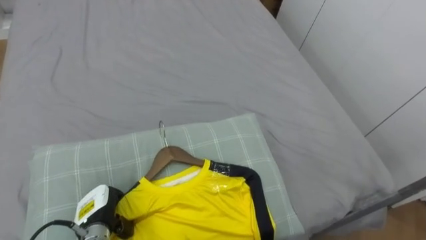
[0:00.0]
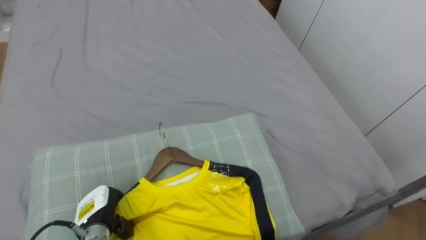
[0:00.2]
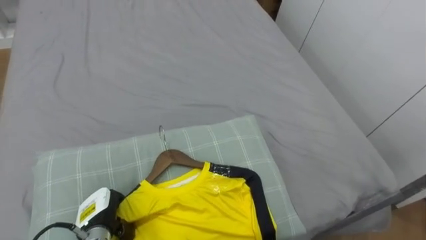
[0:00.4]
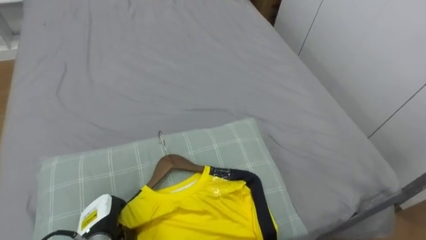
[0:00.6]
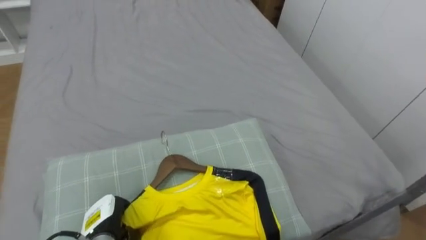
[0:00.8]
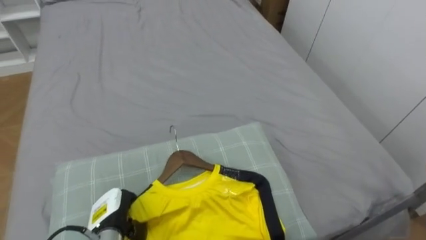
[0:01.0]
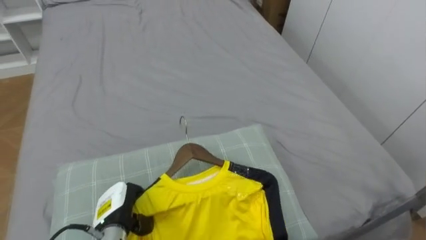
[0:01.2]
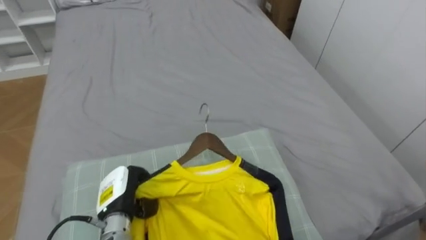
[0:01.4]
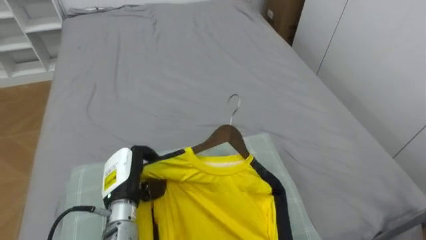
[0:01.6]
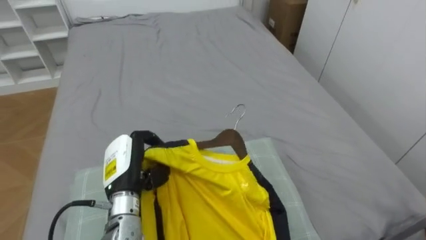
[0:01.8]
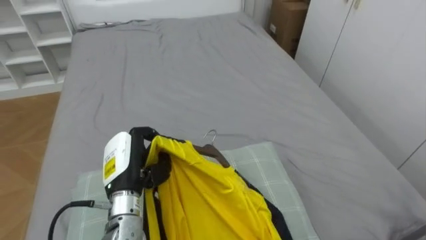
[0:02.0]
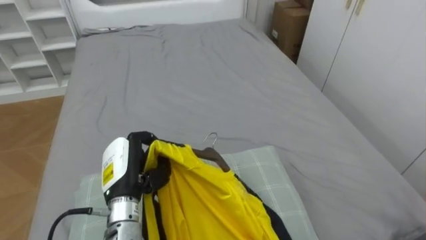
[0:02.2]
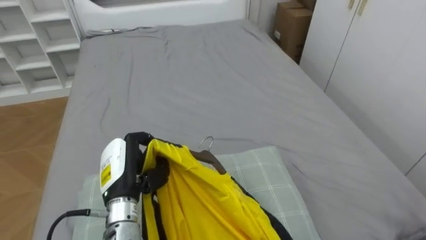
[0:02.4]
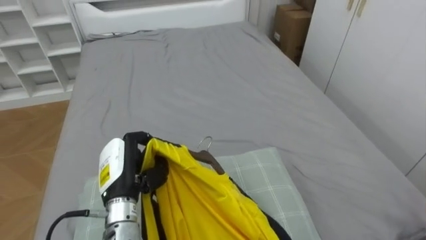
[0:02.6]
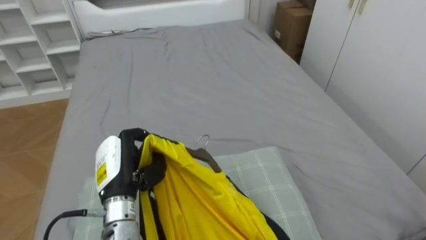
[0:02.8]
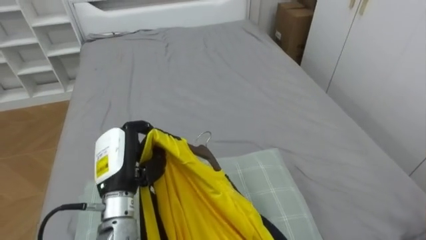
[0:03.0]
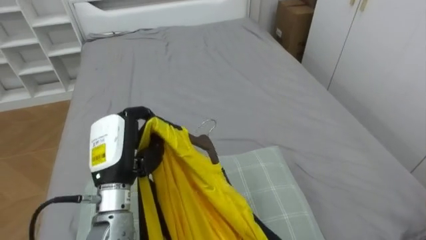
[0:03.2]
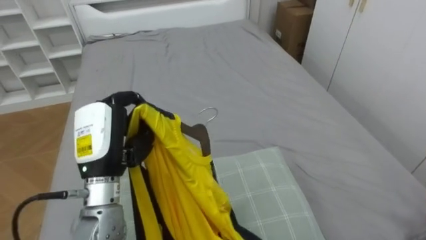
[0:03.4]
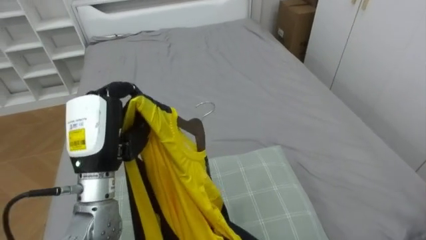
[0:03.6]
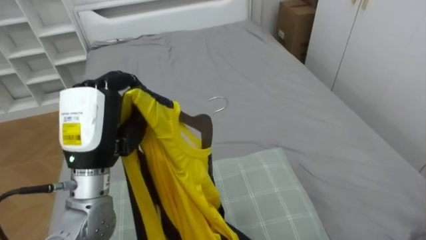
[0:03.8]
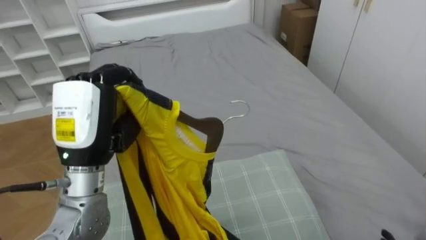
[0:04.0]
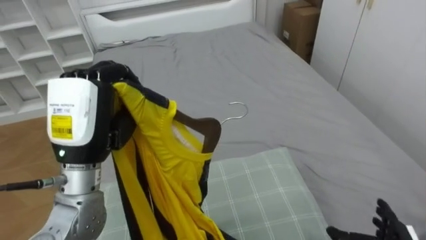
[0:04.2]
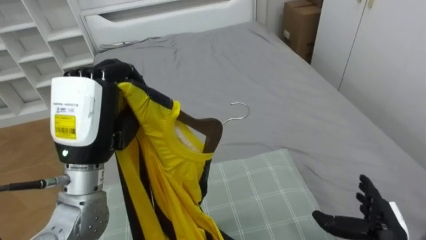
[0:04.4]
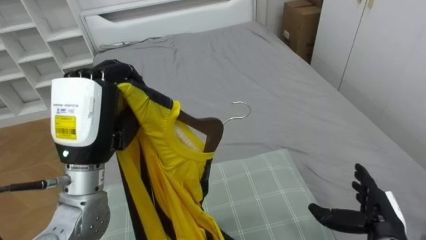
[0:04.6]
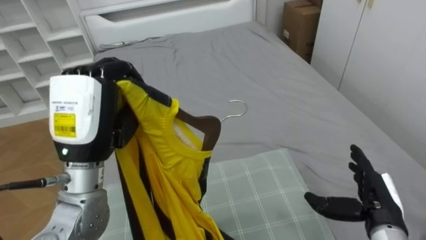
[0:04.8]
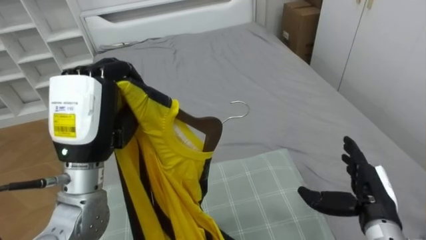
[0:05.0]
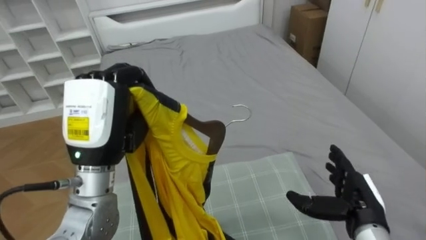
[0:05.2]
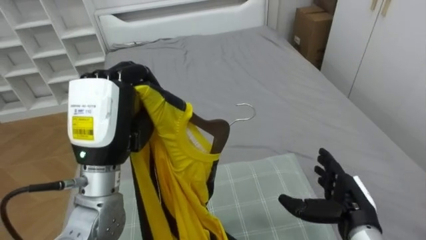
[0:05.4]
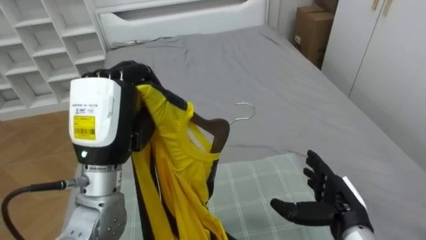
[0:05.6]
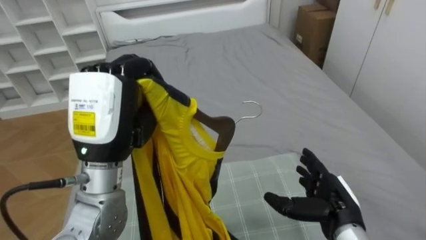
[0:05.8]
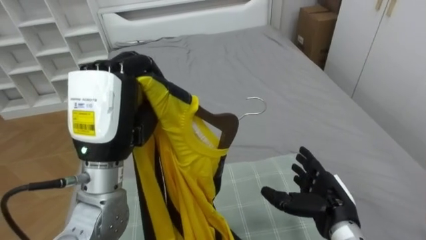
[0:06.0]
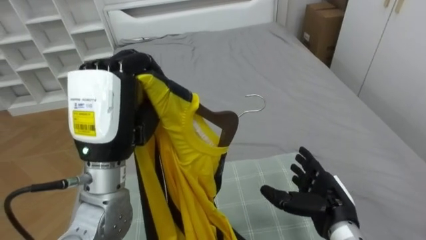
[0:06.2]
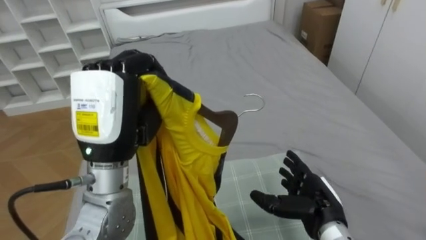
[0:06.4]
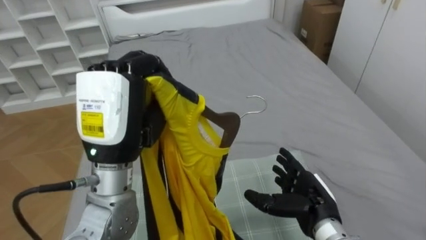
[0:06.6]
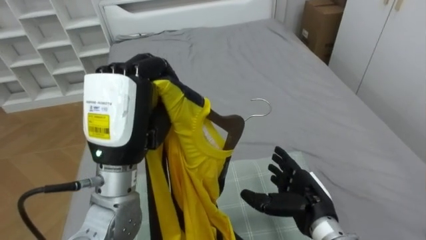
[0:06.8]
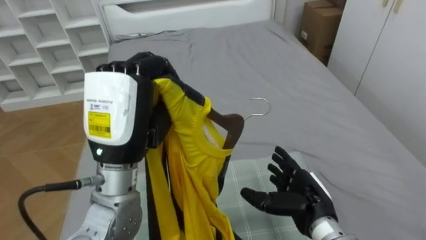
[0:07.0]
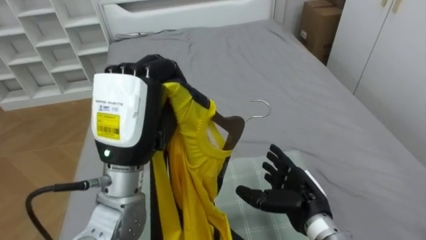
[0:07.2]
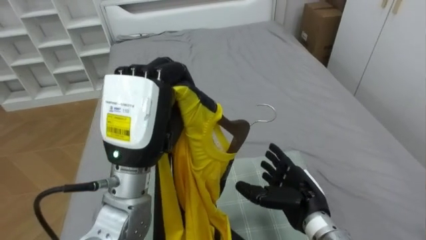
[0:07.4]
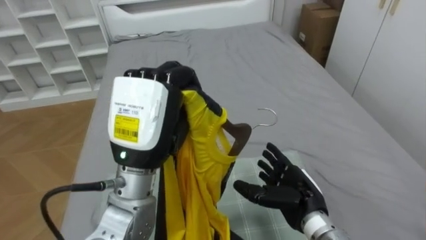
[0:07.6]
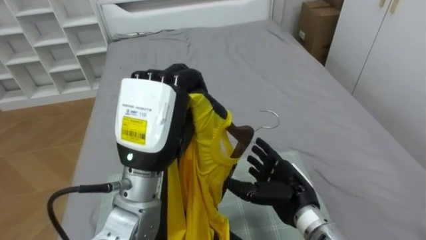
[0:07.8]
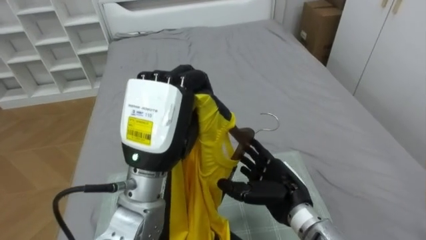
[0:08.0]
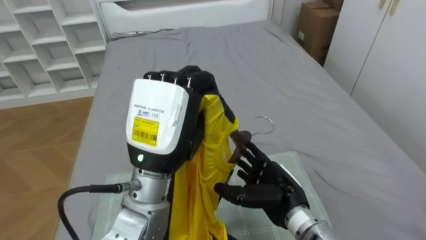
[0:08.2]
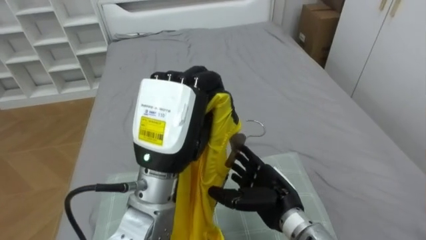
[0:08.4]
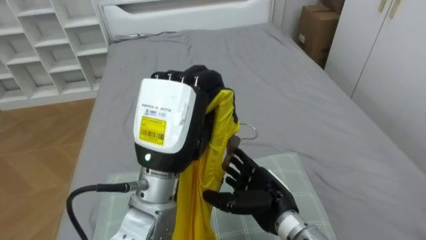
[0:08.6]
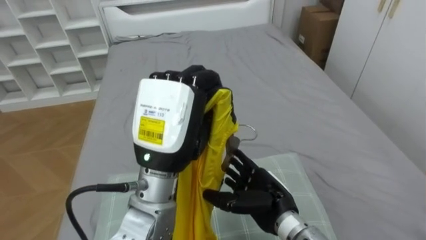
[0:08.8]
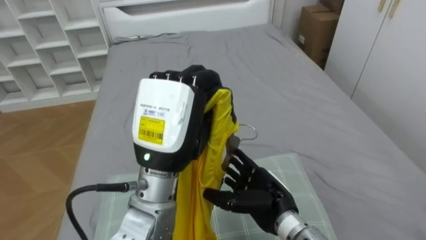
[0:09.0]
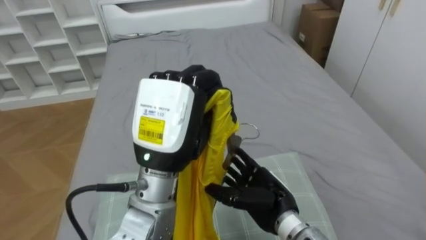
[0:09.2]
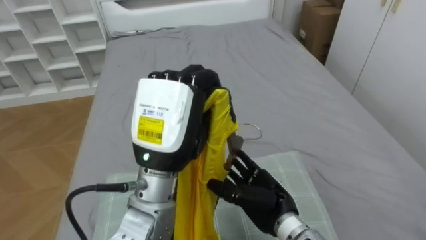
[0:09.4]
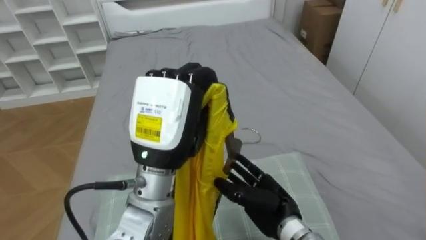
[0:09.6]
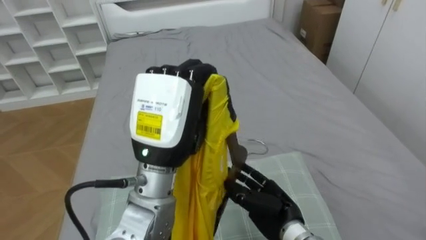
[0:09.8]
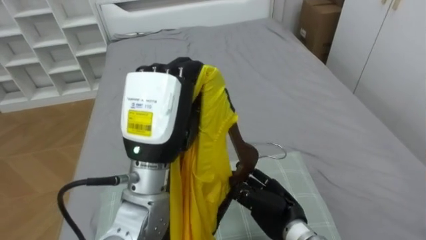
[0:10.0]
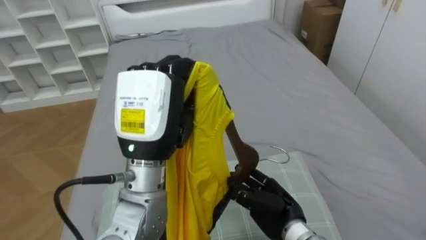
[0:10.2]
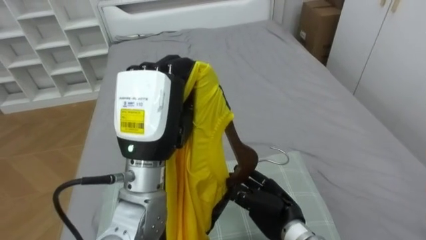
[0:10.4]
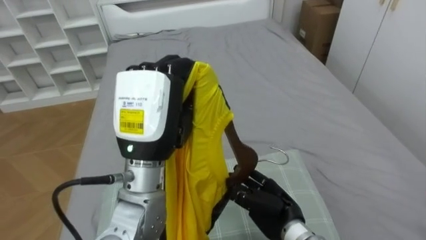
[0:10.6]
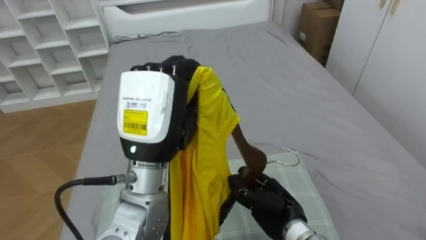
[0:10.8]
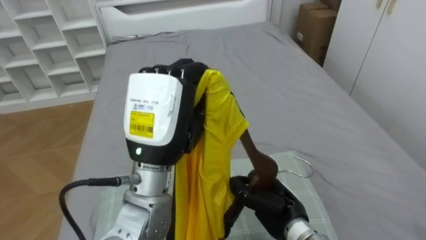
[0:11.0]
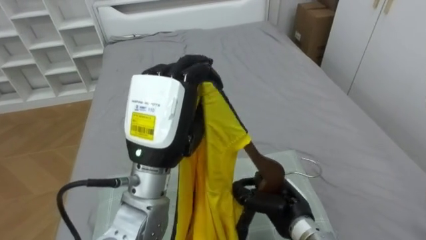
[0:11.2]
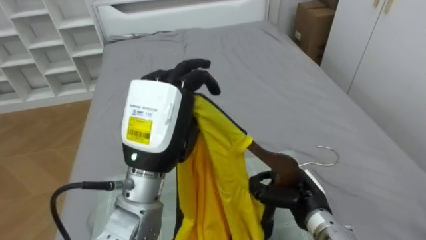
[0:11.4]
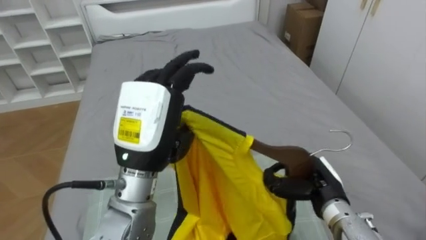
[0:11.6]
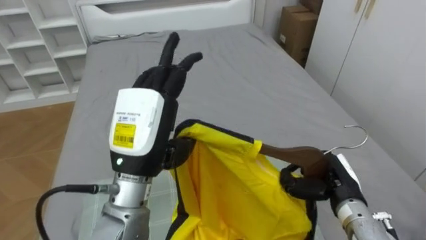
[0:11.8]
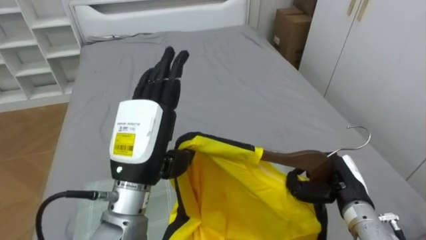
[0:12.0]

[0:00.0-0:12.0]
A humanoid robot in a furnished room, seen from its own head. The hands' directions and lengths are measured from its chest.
Task of the whole recording: Pick up the yellow shirt on the bed and hang it on the clothes rack on the right.
0:00.0 to 0:01.6: The left hand is displaced upward and to the right by roughly 10 cm.
0:01.6 to 0:03.0: The left hand shifts approximately 5 cm upward.
0:03.0 to 0:04.4: The left hand is displaced upward by approximately 15 cm.
0:04.4 to 0:06.0: The right hand is displaced to the left by about 10 cm.
0:06.0 to 0:07.6: The right hand goes roughly 5 cm to the left.
0:07.6 to 0:09.0: The right hand is displaced to the left by about 5 cm.
0:09.0 to 0:10.4: The right hand closes its fingers.
0:10.4 to 0:12.0: The right hand travels to the right by roughly 15 cm, while the left hand opens its fingers.

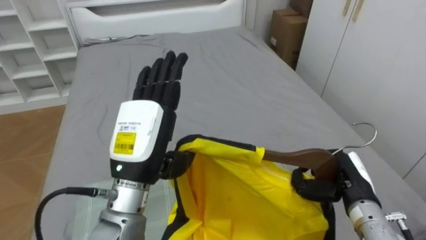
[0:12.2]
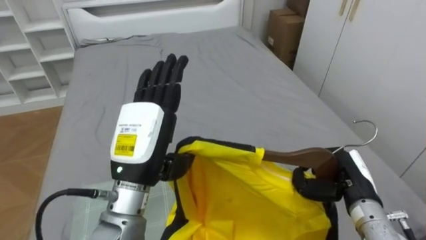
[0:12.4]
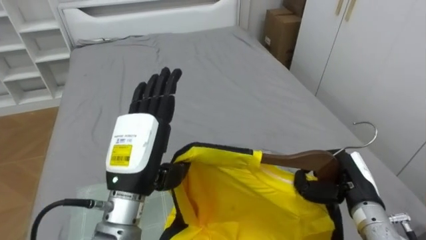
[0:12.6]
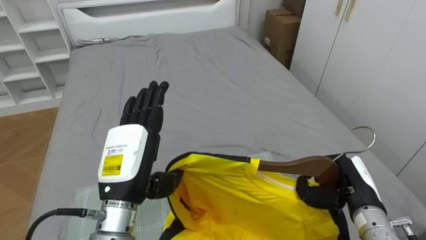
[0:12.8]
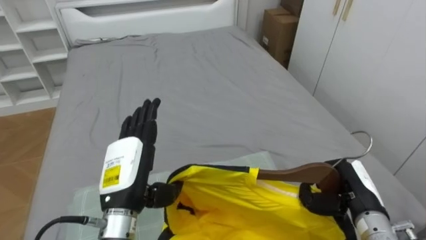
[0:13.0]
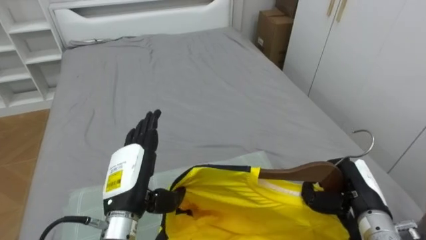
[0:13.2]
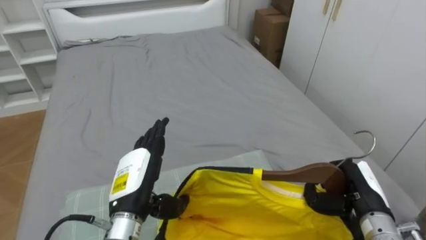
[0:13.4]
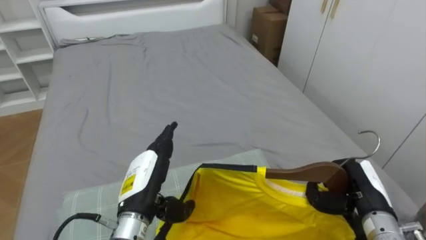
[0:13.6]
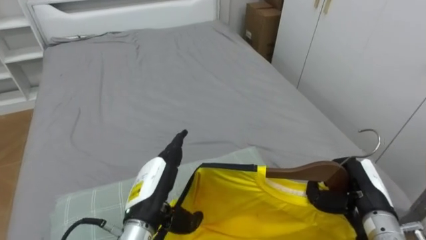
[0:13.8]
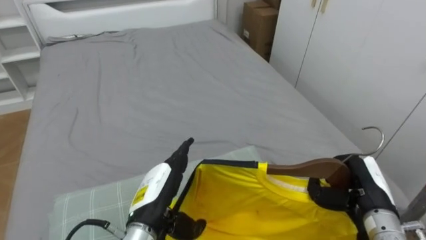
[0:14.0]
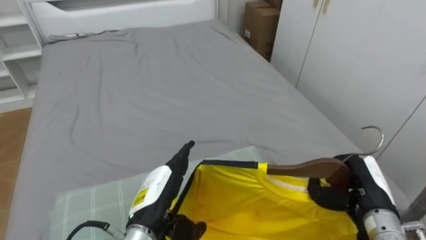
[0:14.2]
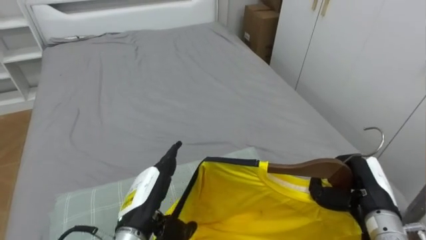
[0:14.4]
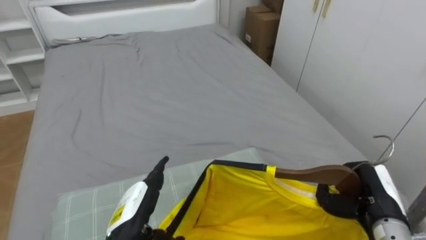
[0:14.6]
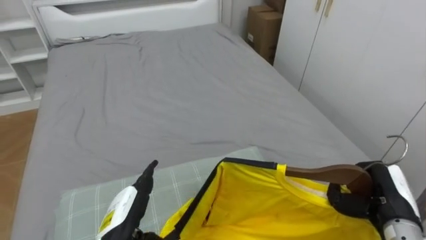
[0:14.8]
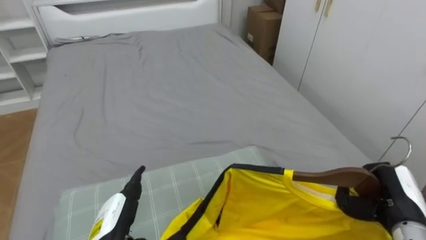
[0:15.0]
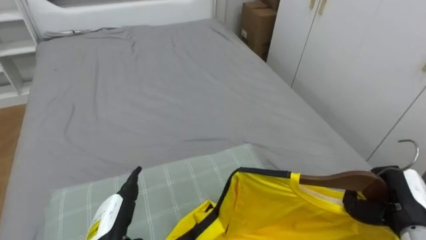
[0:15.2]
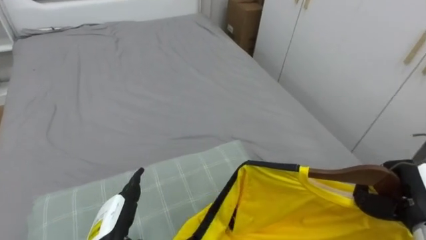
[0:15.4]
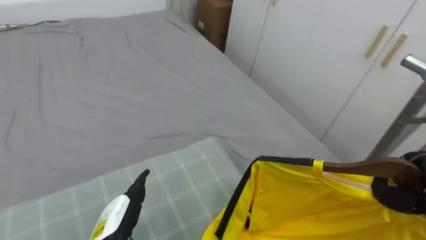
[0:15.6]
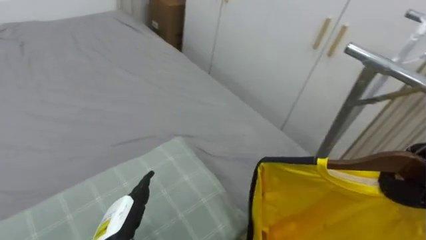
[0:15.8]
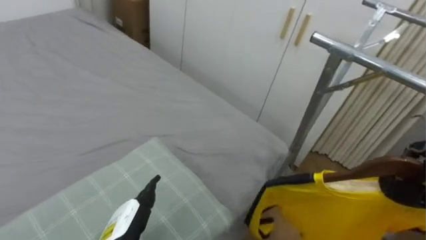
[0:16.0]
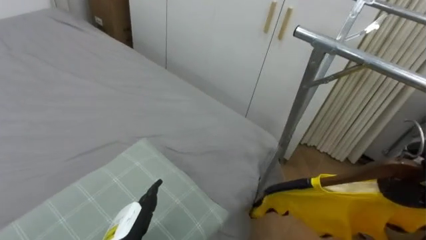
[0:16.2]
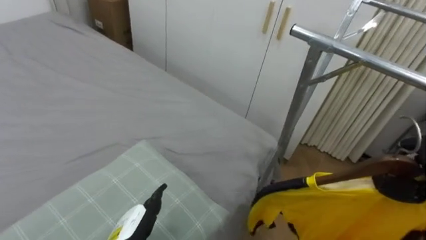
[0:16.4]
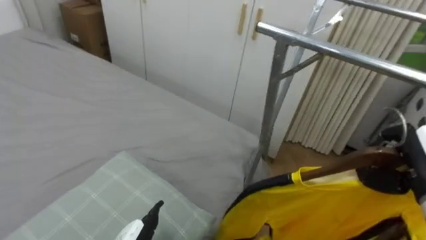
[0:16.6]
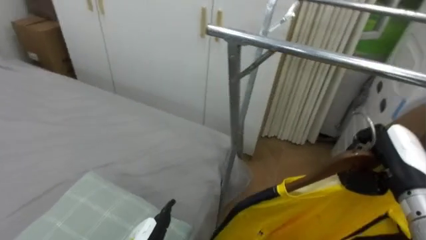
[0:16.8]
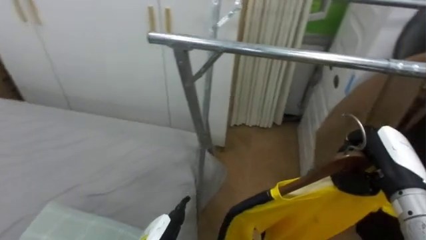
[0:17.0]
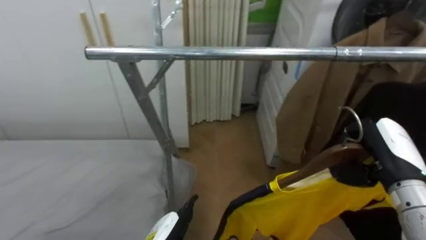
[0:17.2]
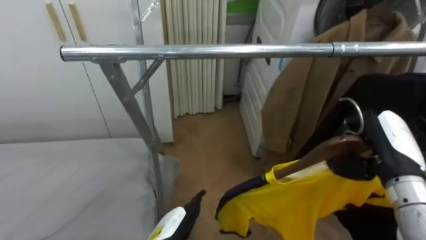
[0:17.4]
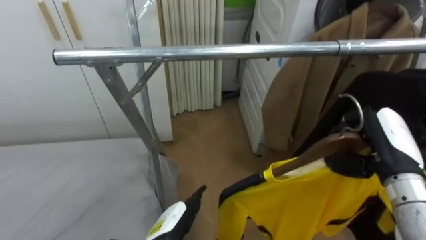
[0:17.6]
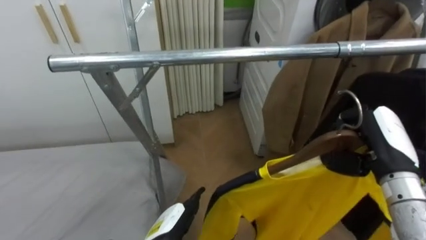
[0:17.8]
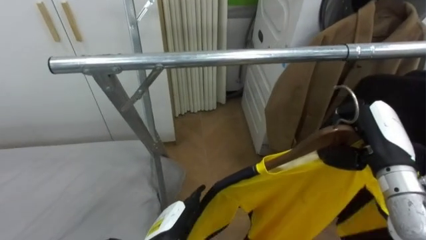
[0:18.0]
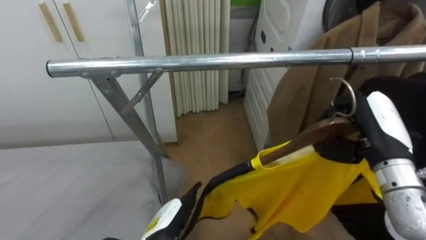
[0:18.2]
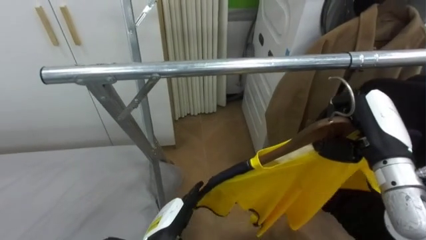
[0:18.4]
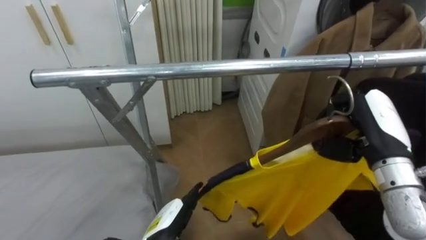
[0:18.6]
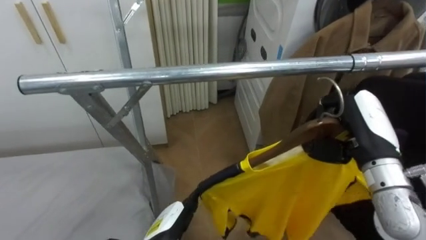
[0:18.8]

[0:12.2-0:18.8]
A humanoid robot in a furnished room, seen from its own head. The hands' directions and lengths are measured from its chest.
Task of the whole recording: Pick up the yellow shirt on the bed and hang it on the clothes rack on the right.
0:12.2 to 0:13.8: The left hand is displaced downward by some 10 cm.
0:13.8 to 0:15.4: The right hand goes about 5 cm to the right. The left hand heads to the left and downward, covering roughly 10 cm.
0:15.4 to 0:17.2: The robot rotates roughly 65 degrees to its right.
0:17.2 to 0:18.8: The right hand changes place by some 5 cm.
